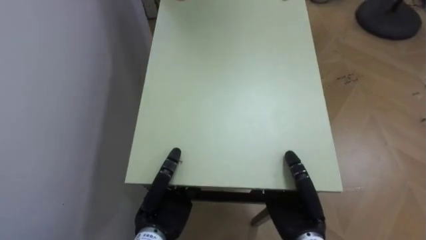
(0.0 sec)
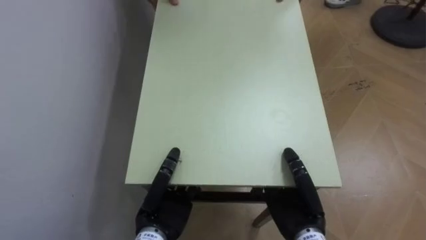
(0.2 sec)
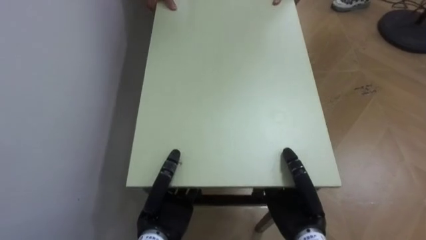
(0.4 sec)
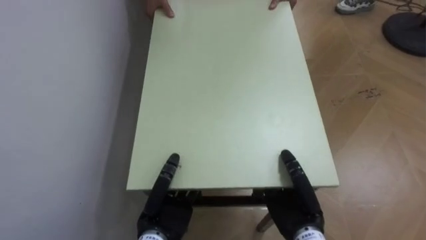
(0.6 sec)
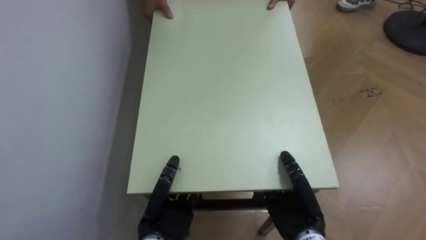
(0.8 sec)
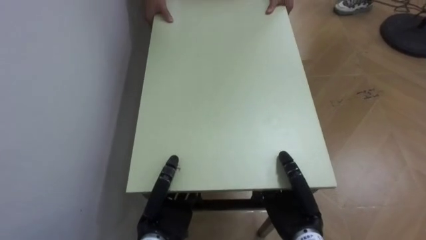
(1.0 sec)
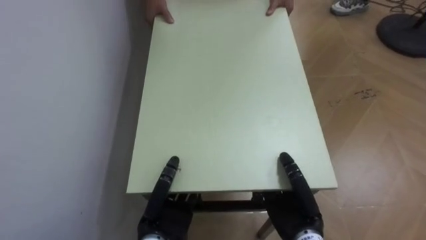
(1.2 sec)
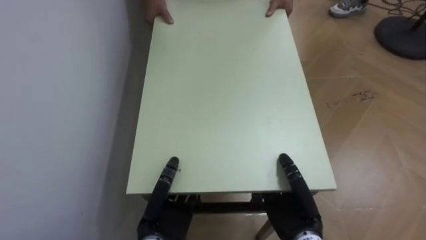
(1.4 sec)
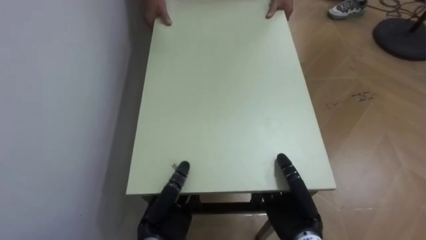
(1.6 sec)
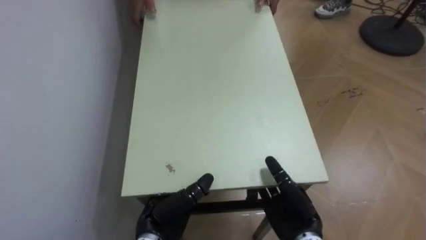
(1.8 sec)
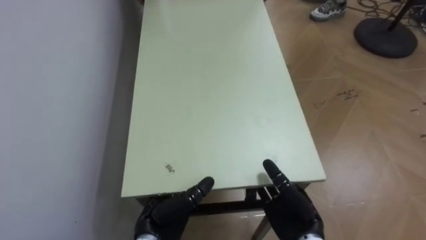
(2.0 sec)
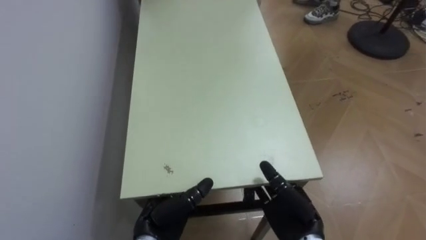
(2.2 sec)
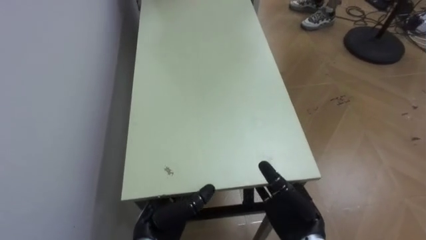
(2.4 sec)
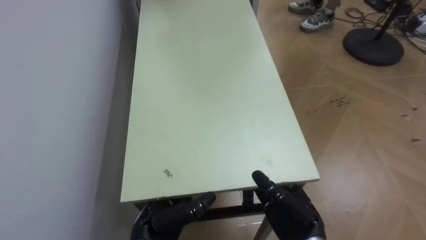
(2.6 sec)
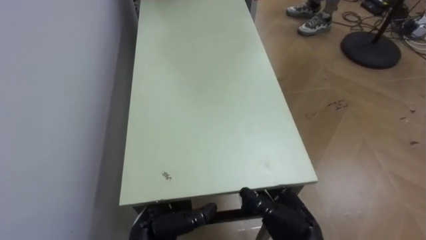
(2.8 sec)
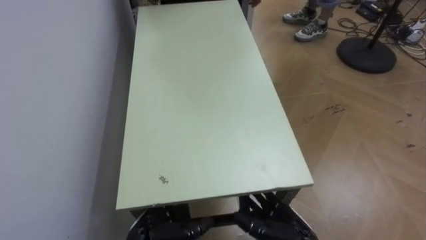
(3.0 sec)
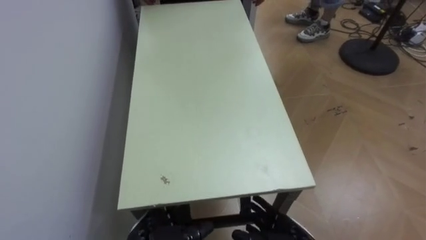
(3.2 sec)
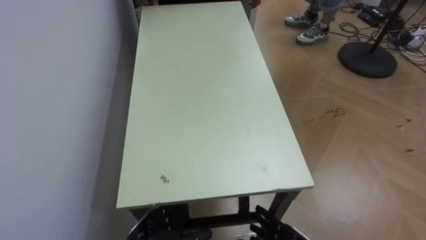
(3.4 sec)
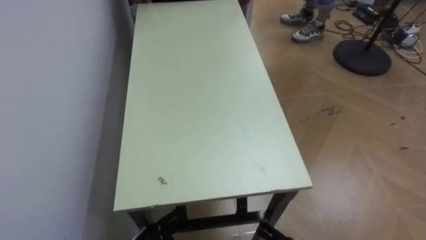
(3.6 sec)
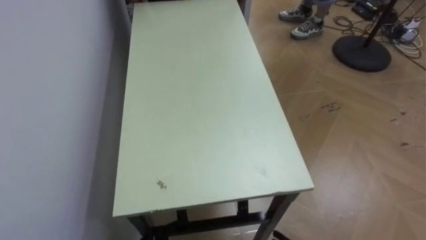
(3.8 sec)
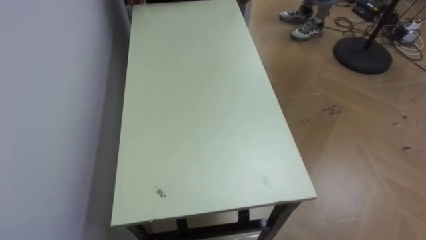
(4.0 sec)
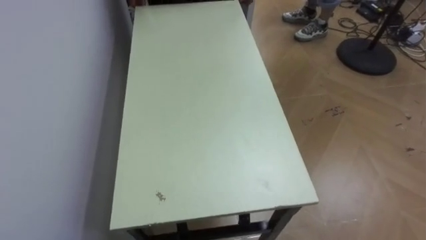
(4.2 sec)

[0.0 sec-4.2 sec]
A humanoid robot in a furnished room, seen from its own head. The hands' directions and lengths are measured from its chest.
Task of the whole recording: Move the table to the back left with someone.
1.4 sec to 2.8 sec: The right hand opens up. Meanwhile the left hand opens up.
